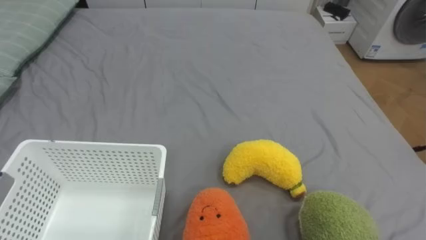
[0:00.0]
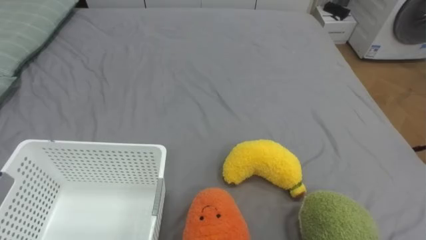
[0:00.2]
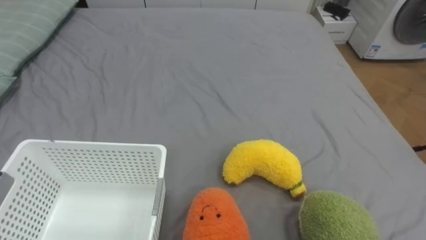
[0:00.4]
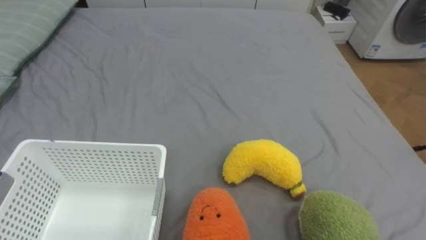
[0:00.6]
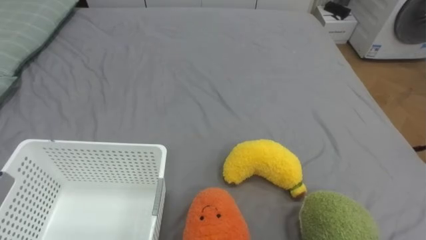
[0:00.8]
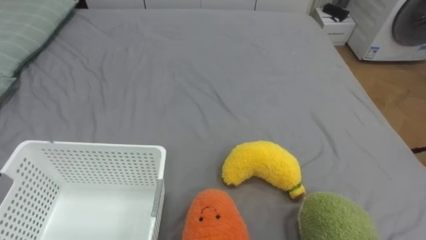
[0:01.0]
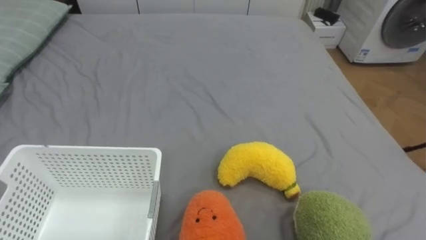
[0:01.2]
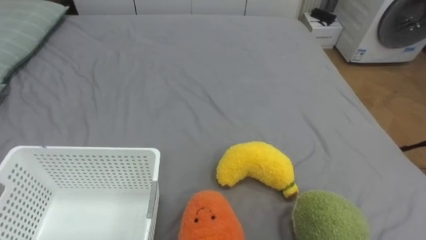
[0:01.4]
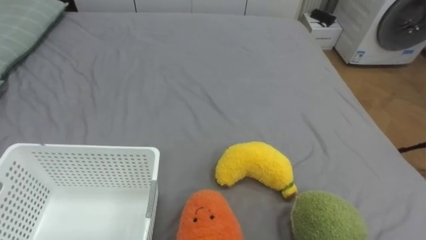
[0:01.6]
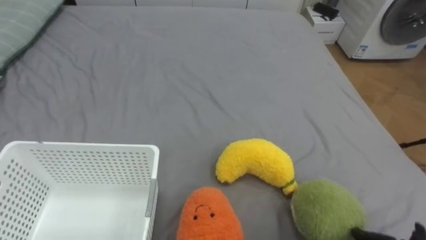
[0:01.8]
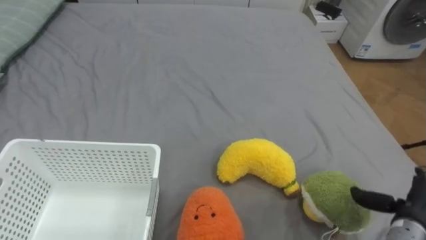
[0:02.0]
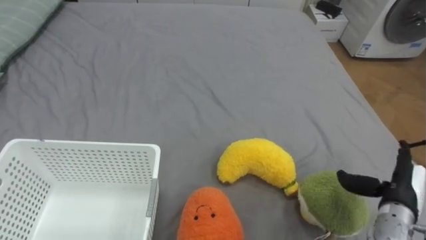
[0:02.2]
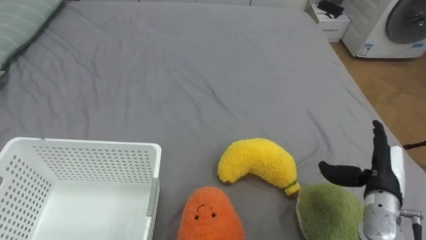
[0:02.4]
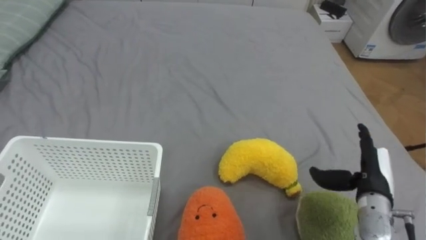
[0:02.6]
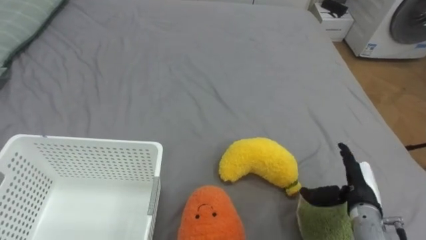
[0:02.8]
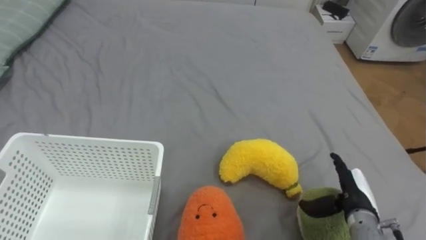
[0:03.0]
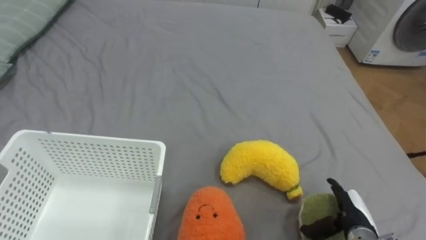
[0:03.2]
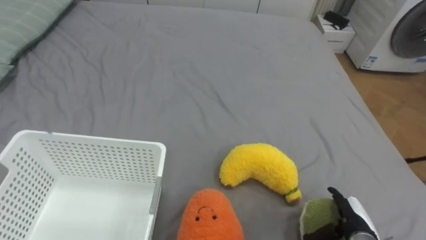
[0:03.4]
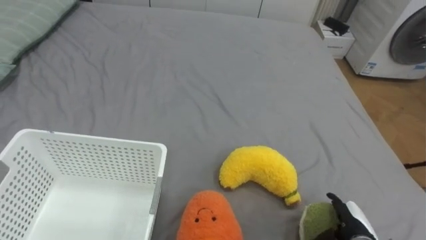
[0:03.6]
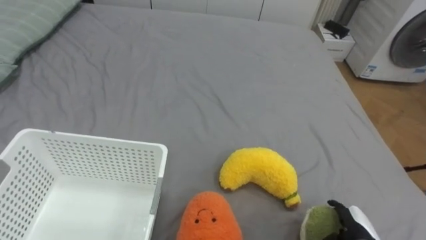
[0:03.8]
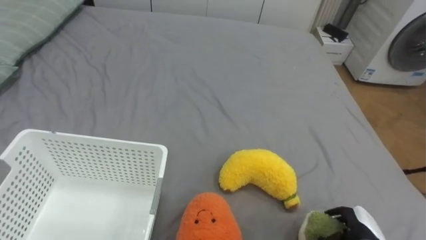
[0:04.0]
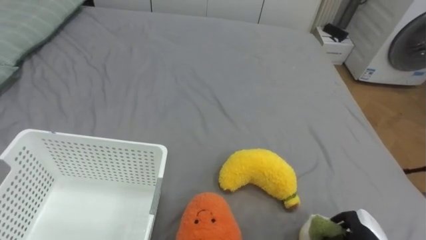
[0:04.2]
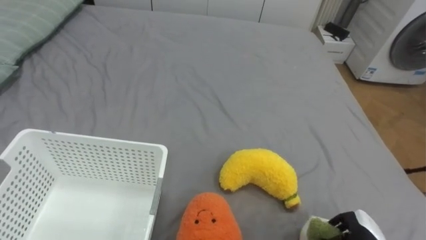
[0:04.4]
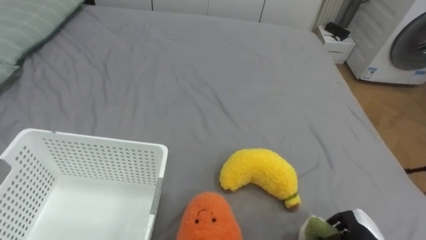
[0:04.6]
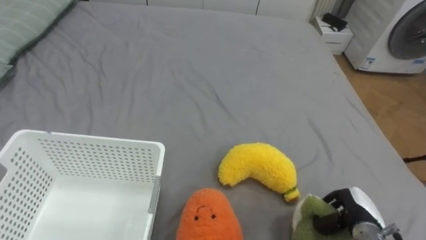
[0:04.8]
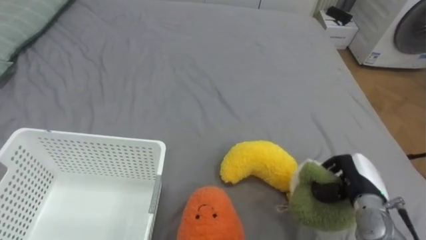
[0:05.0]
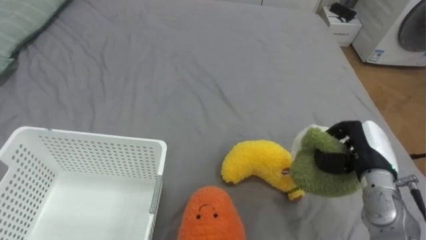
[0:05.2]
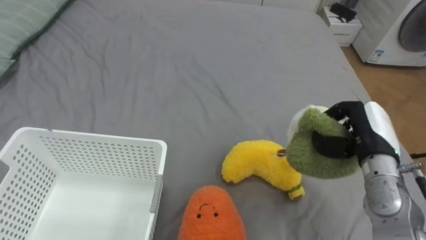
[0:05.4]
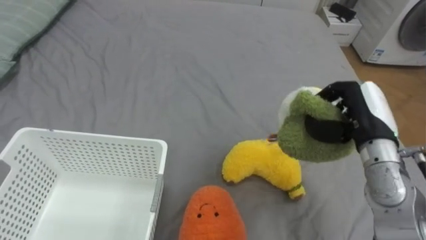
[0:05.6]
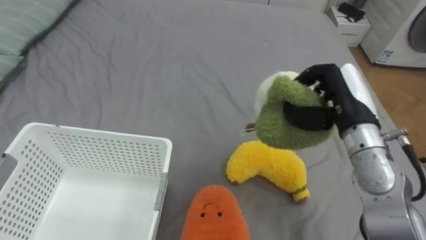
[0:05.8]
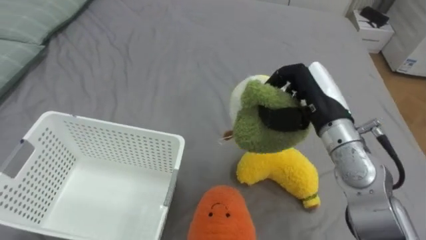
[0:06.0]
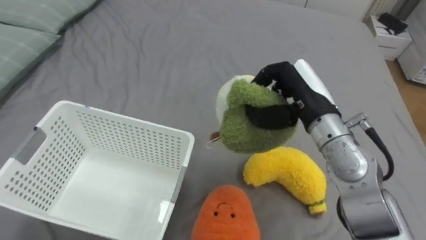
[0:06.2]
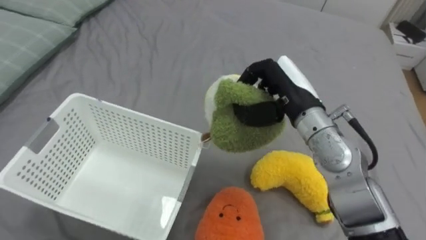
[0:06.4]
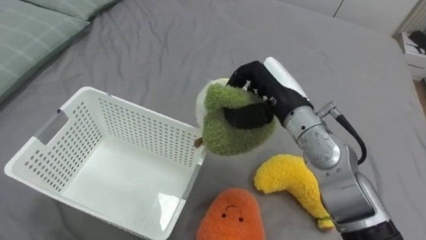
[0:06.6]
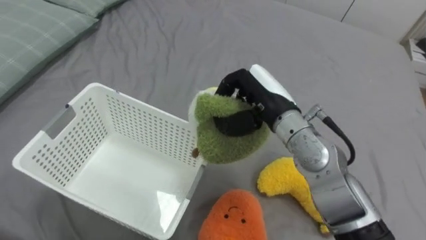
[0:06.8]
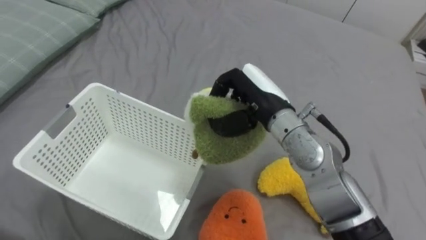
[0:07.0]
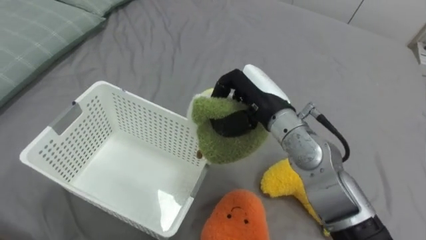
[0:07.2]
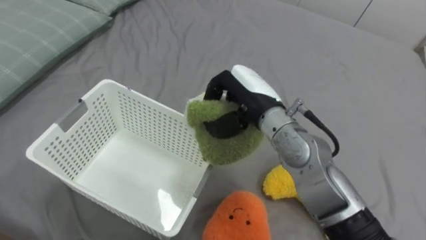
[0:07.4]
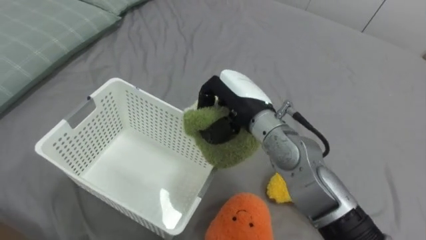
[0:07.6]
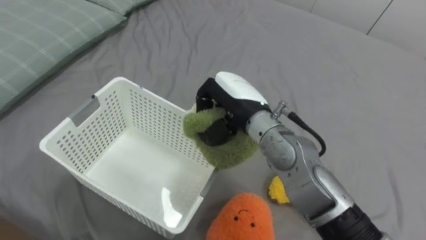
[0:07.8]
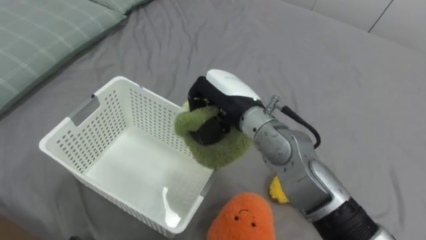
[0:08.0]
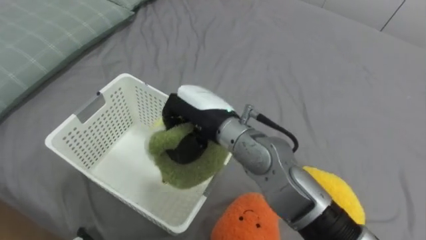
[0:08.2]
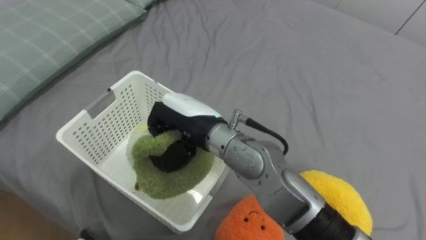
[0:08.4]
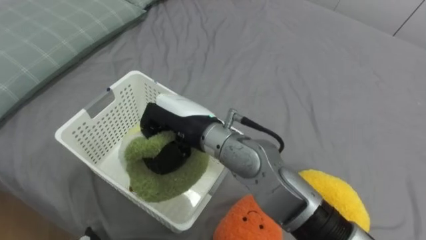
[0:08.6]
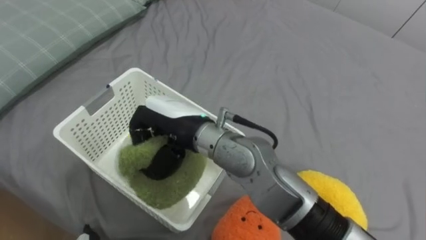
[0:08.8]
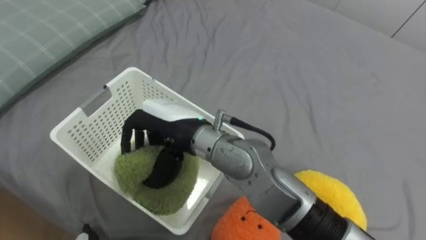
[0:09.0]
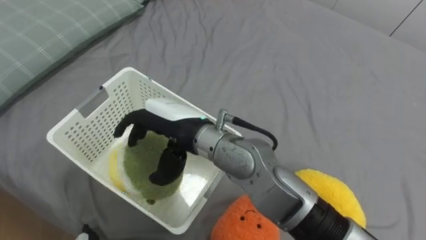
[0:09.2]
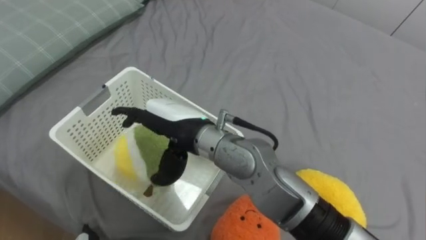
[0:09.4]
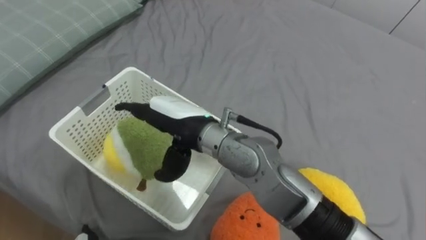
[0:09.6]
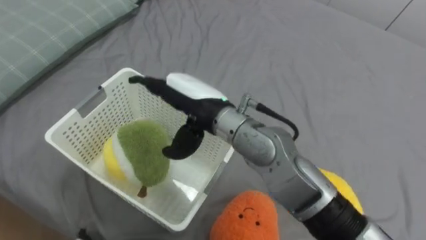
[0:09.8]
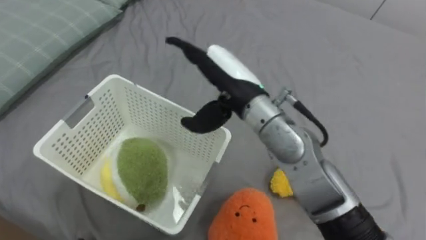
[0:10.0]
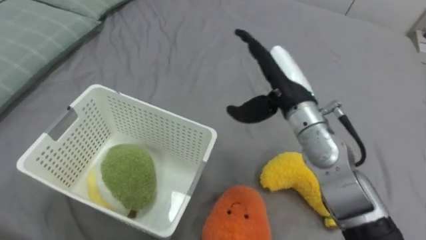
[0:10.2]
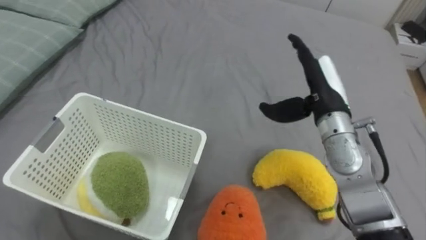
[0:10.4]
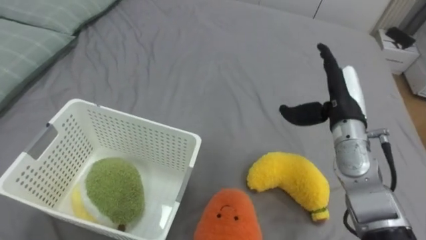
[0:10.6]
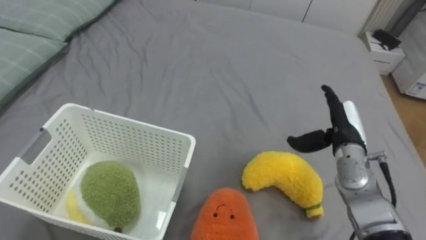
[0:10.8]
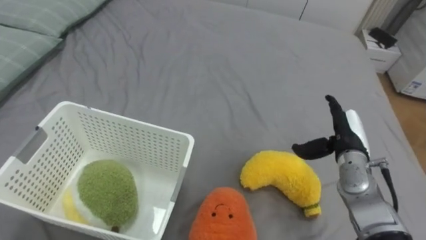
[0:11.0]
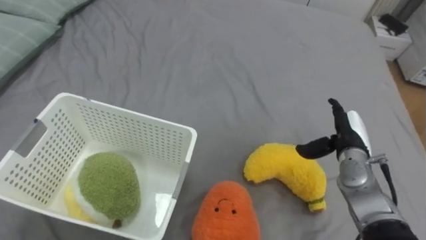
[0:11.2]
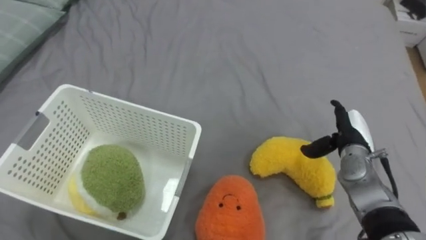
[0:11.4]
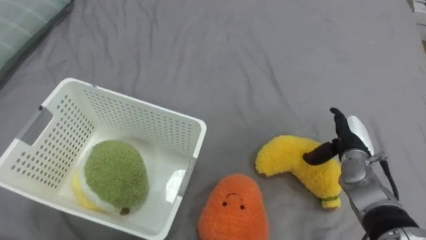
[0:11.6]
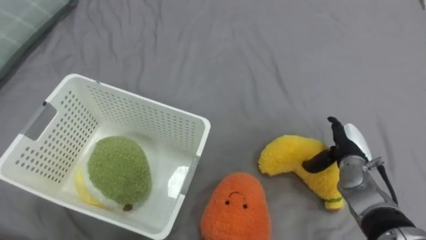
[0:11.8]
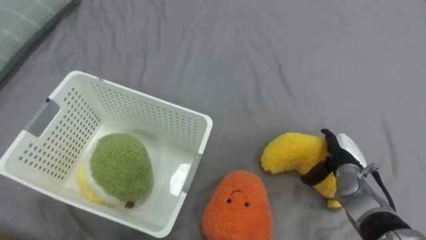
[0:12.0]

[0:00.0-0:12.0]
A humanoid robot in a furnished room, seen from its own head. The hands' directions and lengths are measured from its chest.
Task of the whole recording: Put the toys on the bed into the basket on the left.
0:03.0 to 0:04.4: The right hand travels downward and backward by roughly 10 cm, and closes.
0:04.4 to 0:06.0: The right hand goes some 35 cm upward, forward and to the left.
0:06.0 to 0:07.6: The right hand travels to the left by approximately 15 cm.
0:07.6 to 0:09.0: The right hand travels to the left and backward by approximately 15 cm.
0:09.0 to 0:10.4: The right hand heads to the right, covering roughly 25 cm, and opens.
0:10.4 to 0:12.0: The right hand travels downward and to the right by approximately 20 cm.

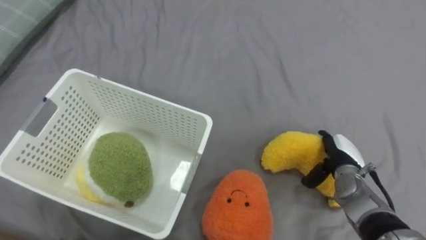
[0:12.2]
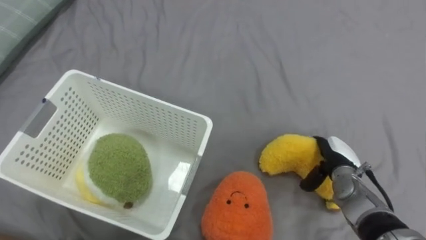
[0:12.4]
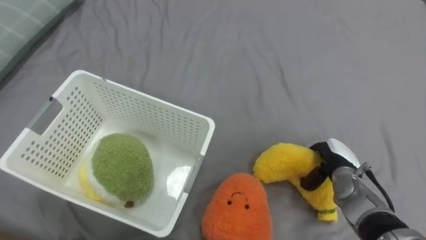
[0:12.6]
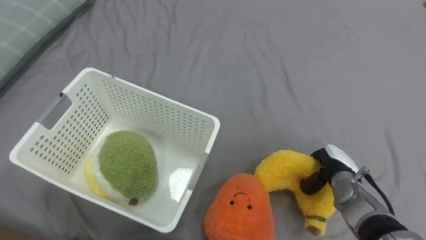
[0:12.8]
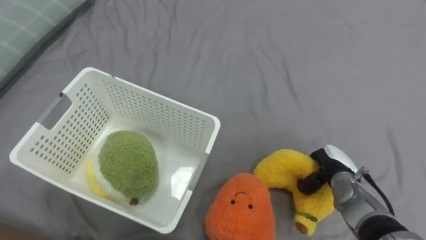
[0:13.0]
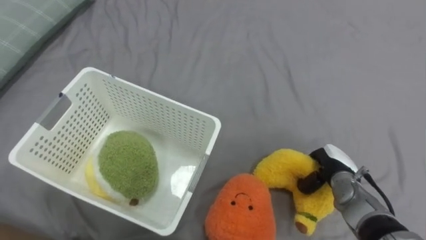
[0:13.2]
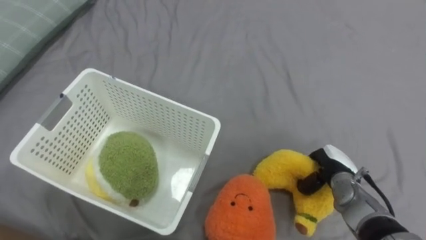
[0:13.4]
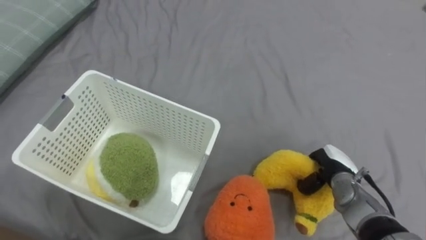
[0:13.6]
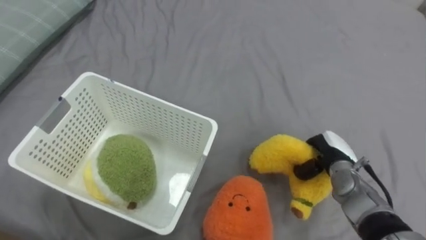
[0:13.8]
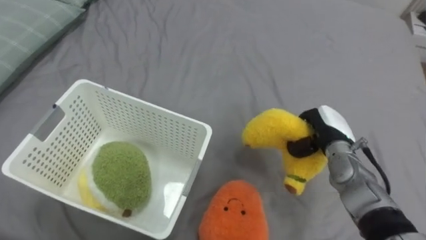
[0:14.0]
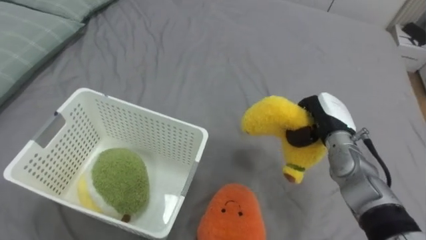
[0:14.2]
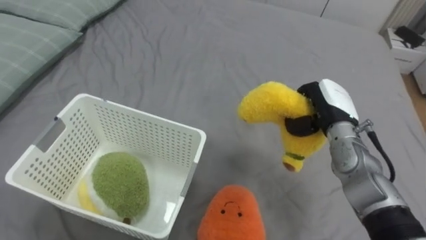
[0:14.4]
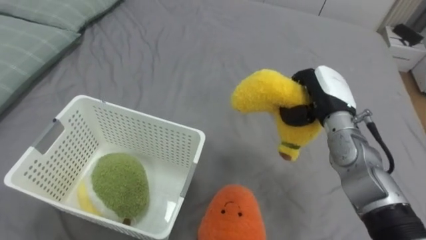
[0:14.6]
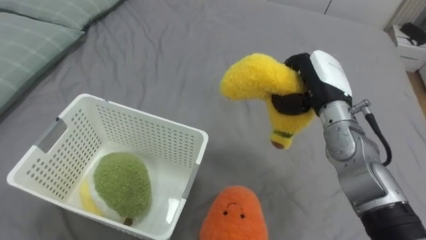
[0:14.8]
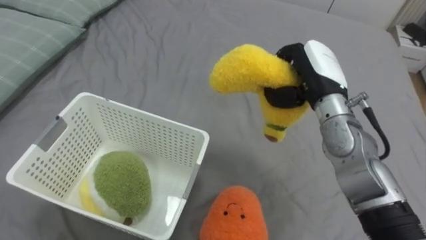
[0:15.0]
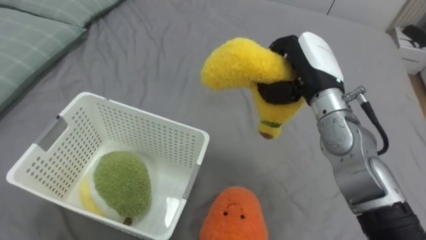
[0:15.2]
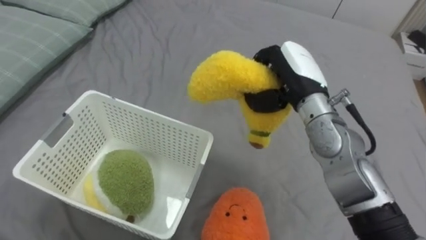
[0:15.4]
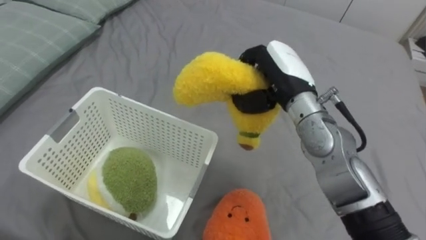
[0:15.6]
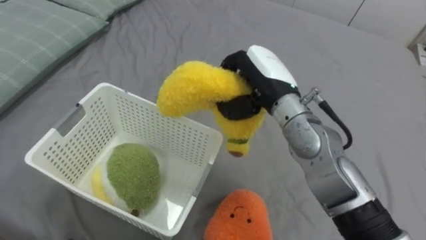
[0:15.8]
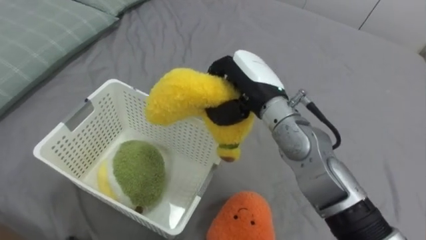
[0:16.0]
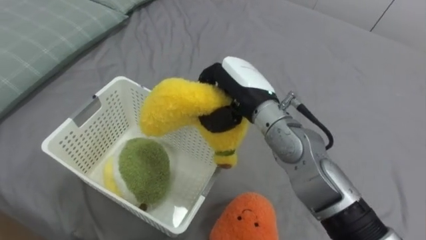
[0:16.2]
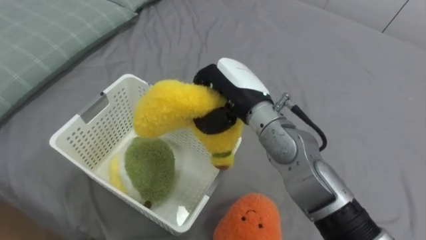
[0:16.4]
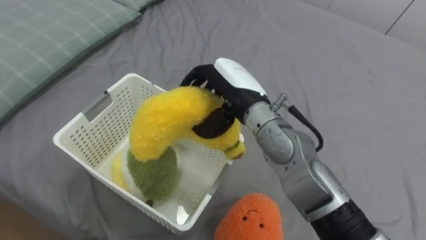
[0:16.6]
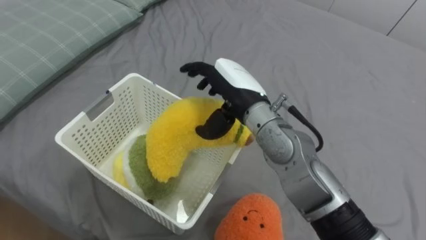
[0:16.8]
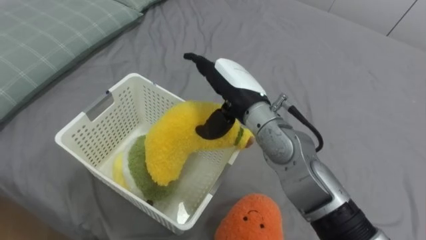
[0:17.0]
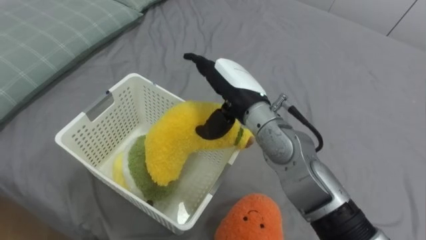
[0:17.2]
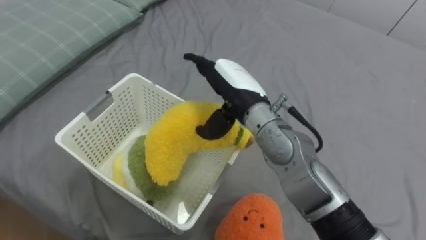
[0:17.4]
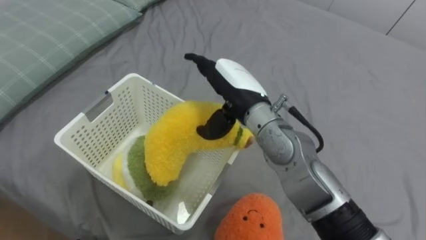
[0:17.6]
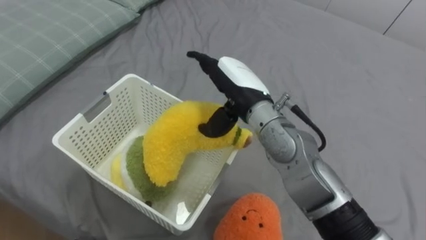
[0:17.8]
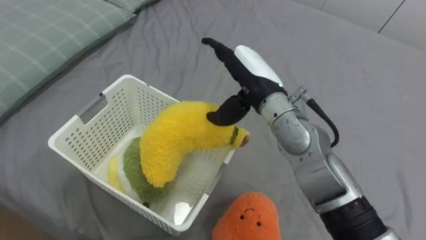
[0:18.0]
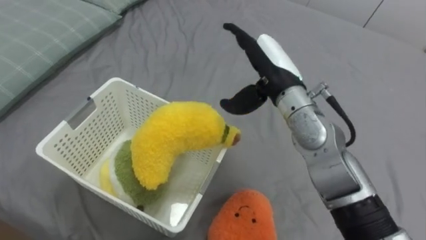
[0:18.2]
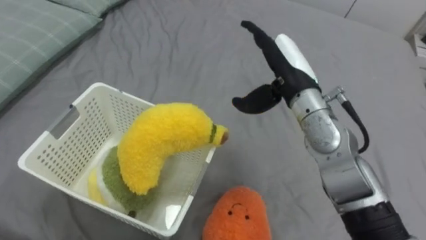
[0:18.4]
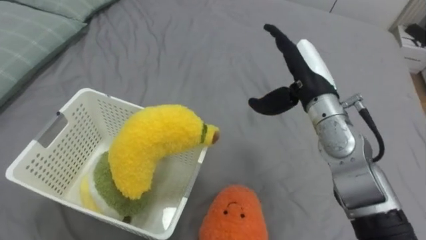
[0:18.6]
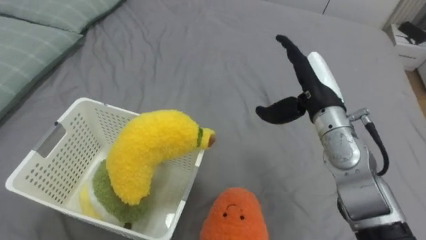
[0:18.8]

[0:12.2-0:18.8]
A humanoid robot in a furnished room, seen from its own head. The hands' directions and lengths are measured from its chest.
Task of the whole recording: Put the toys on the bed into the basket on the left.
0:12.2 to 0:13.8: The right hand closes.
0:13.8 to 0:15.4: The right hand moves upward and to the left, about 25 cm.
0:15.4 to 0:17.2: The right hand travels to the left by about 10 cm, and opens.
0:17.2 to 0:18.8: The right hand heads to the right, covering about 15 cm.
